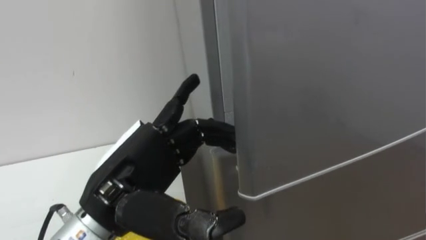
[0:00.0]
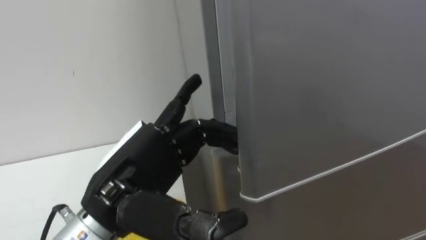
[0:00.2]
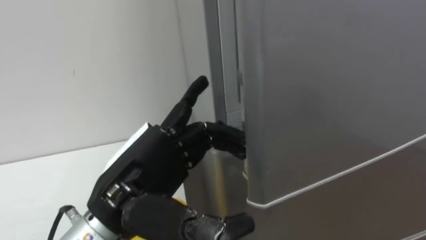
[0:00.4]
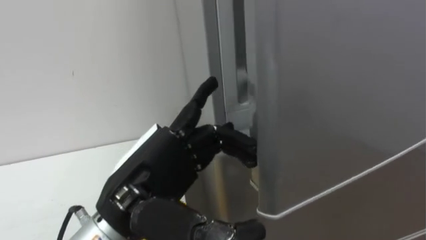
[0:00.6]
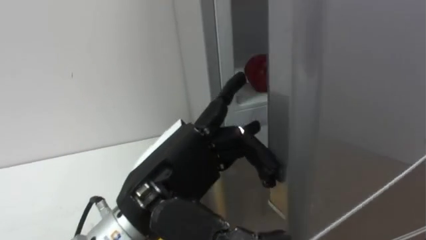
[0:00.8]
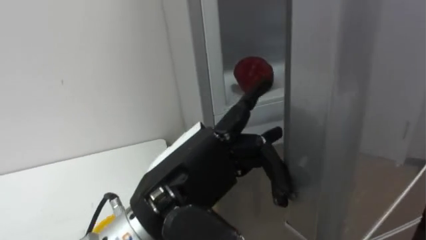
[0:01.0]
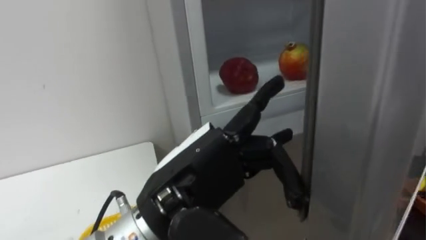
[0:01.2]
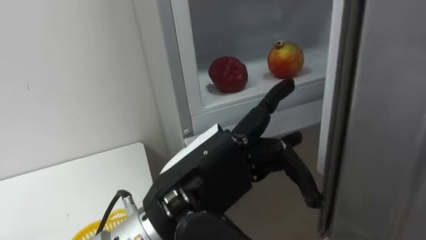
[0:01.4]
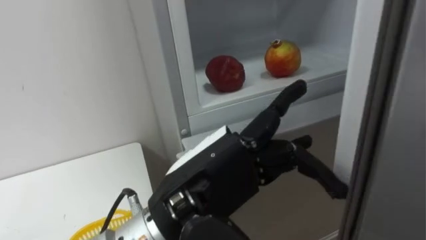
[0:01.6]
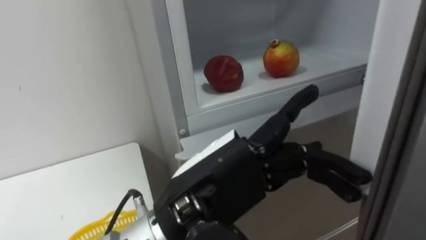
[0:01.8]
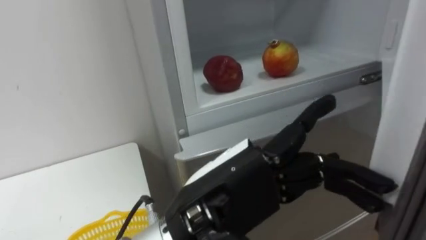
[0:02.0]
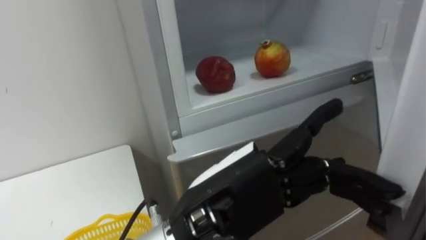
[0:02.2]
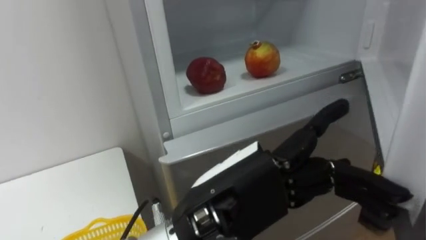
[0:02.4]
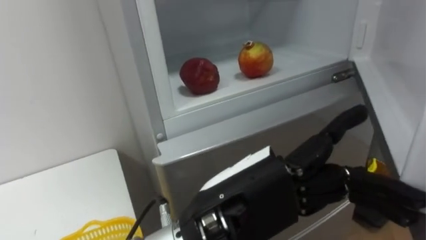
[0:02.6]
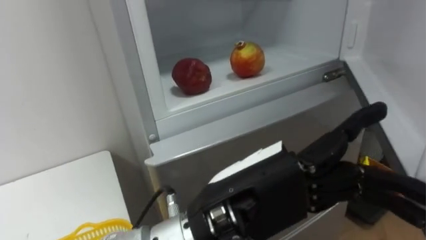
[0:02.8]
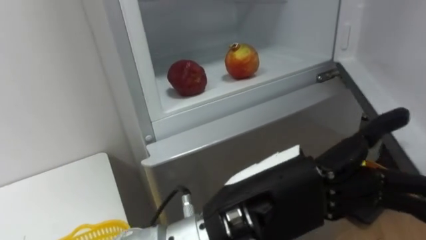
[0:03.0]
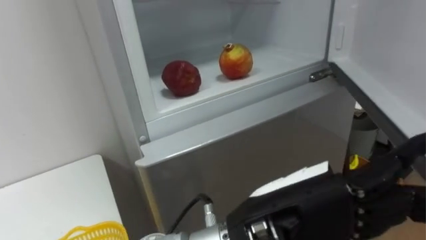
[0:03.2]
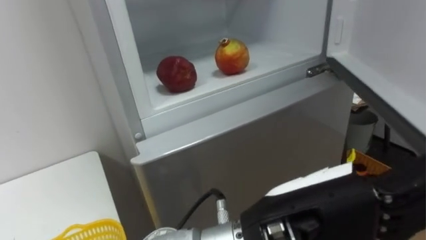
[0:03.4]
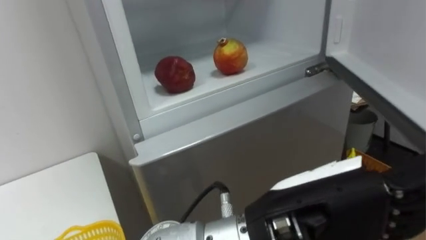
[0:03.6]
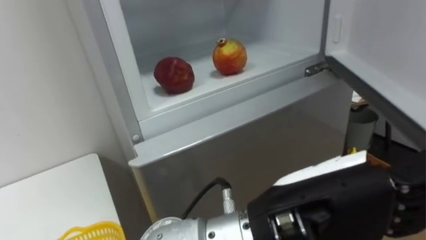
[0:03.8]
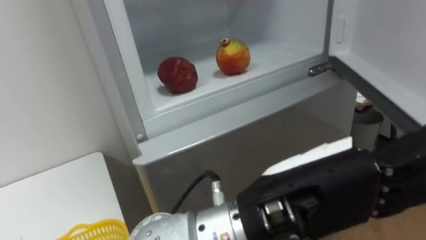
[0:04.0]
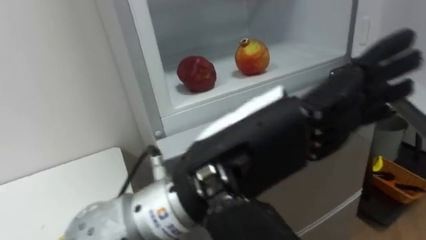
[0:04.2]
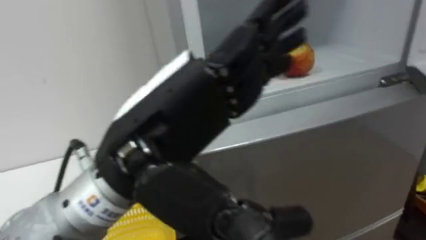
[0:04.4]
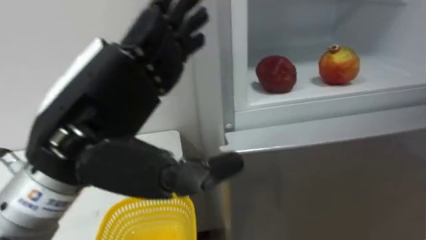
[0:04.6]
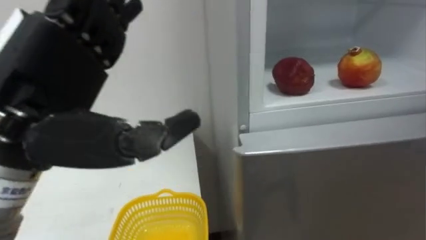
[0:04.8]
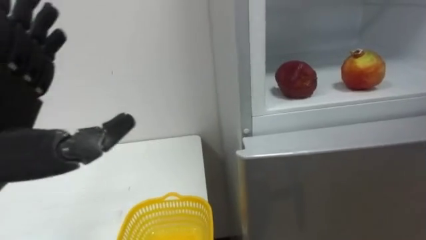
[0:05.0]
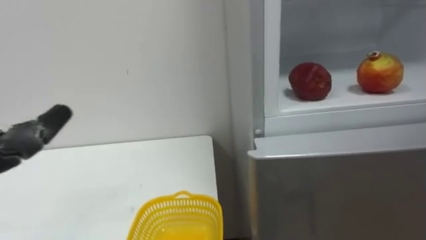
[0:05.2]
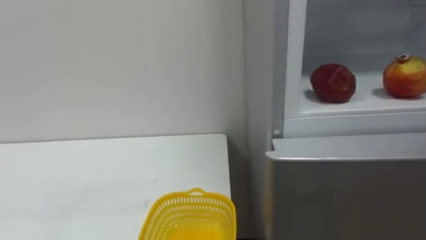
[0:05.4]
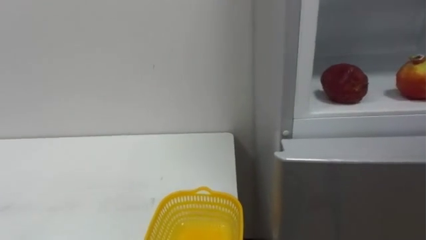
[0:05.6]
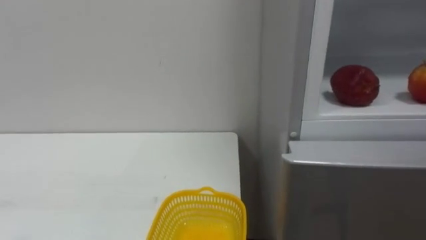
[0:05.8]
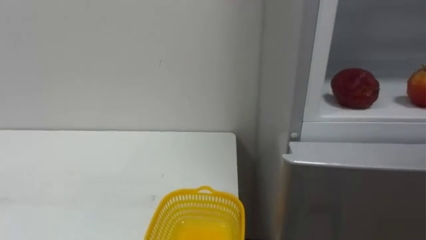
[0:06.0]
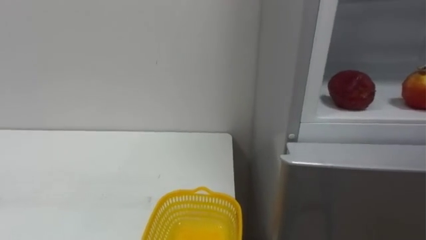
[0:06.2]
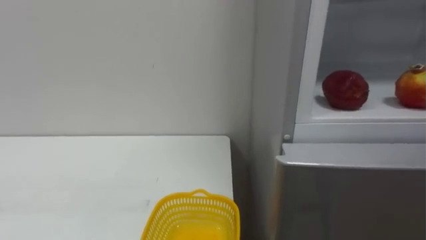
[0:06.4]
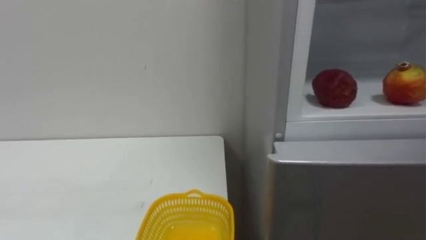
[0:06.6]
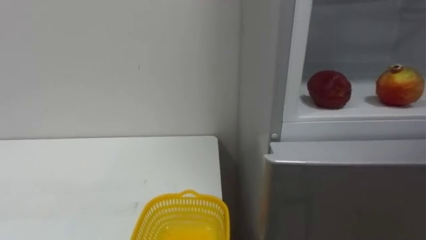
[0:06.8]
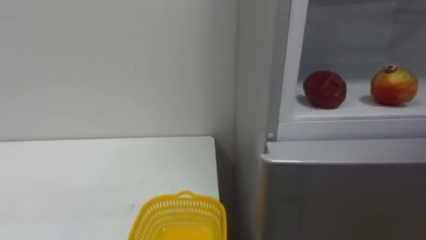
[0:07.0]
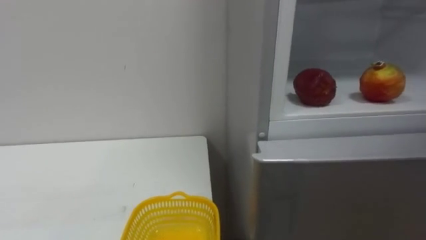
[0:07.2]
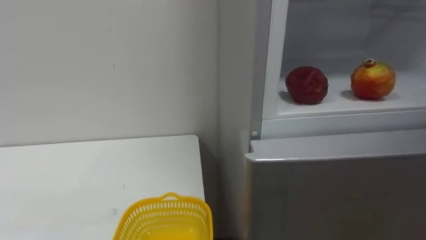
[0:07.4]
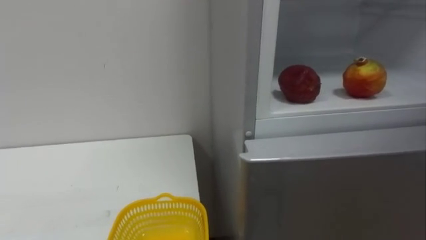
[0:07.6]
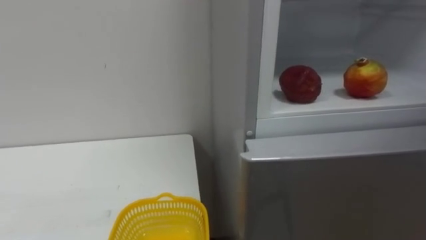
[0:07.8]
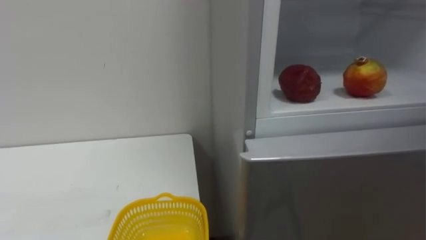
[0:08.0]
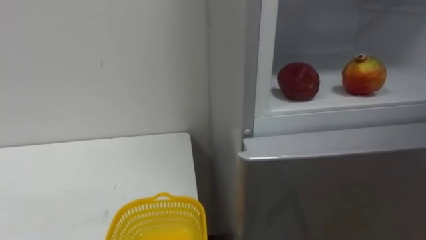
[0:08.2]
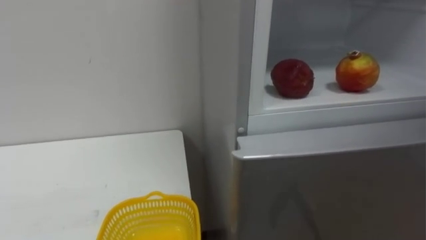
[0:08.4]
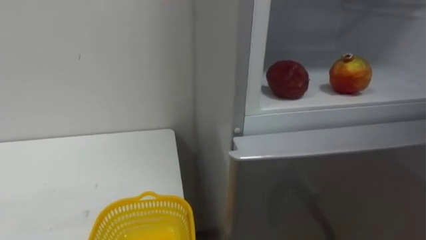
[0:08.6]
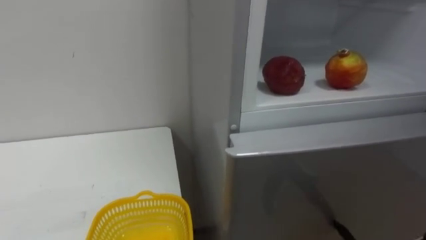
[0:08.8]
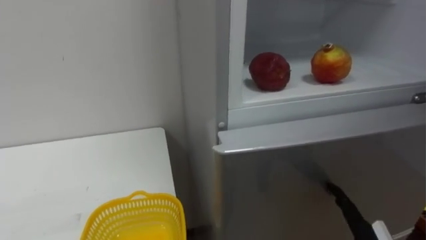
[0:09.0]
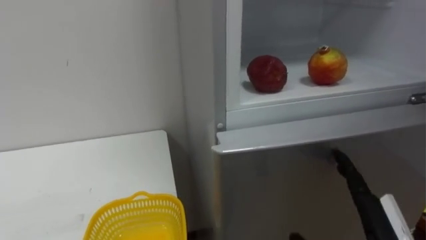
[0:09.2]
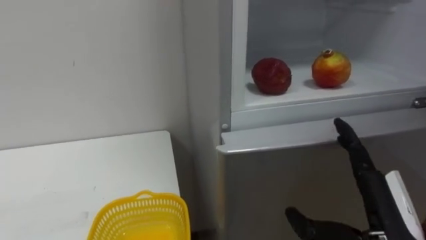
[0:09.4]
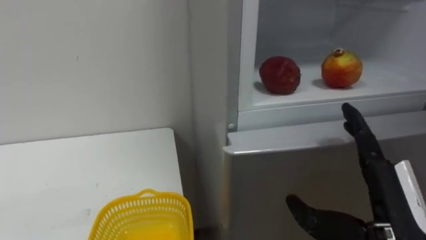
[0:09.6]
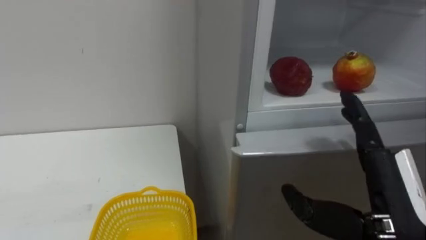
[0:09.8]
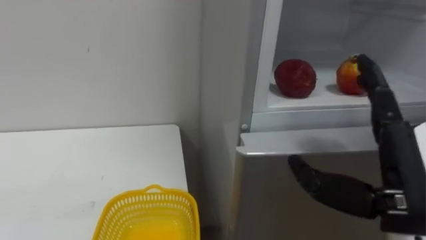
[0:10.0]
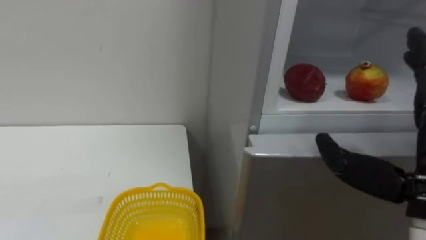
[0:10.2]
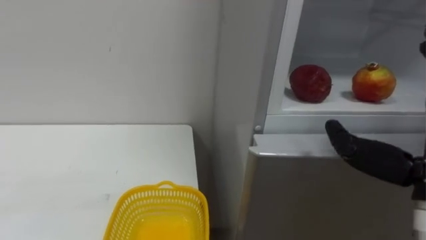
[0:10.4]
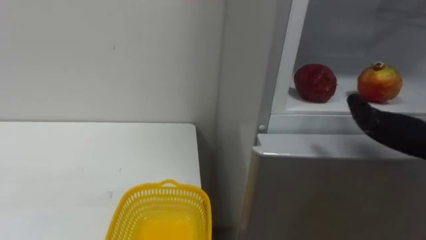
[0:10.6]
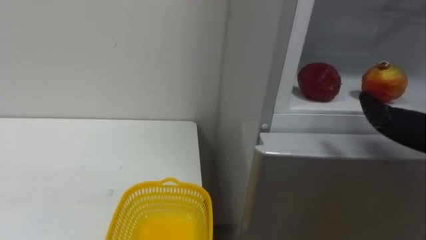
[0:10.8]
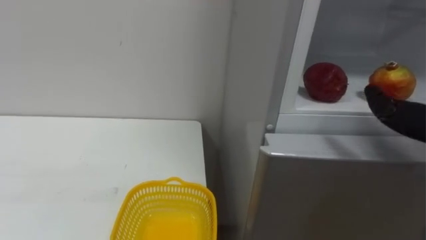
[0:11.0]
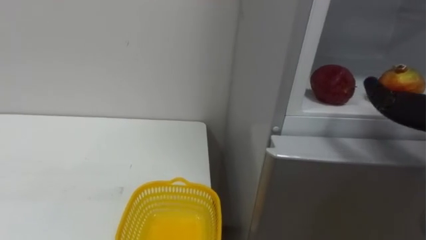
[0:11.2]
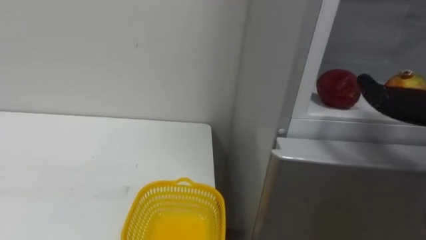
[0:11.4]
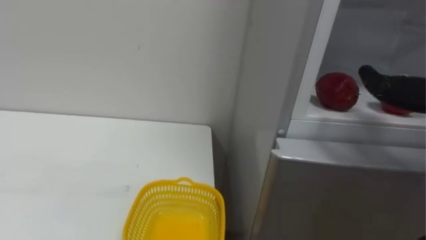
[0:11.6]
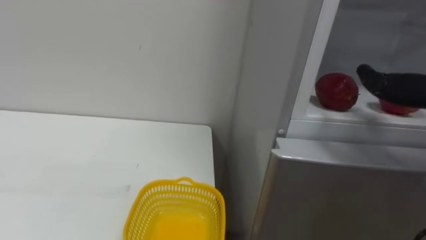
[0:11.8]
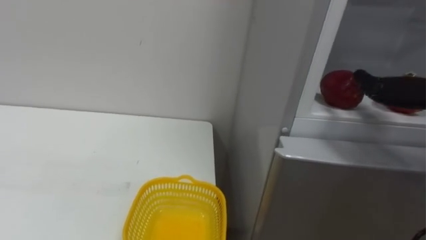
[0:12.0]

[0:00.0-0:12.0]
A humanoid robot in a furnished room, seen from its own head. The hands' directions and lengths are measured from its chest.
Task of the whole recording: Open the refrigerator door, take out the apple and the pomegranate, place them in the fruit basket on the left, and close the refrigerator door.
0:00.0 to 0:01.6: The left hand is displaced to the right by about 10 cm.
0:01.6 to 0:03.0: The left hand goes approximately 5 cm to the right.
0:03.0 to 0:04.4: The left hand travels to the left and upward by some 10 cm.

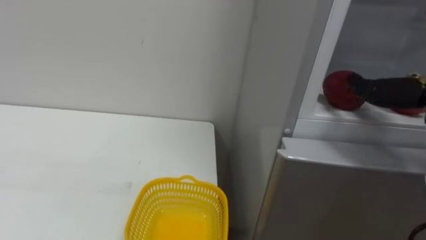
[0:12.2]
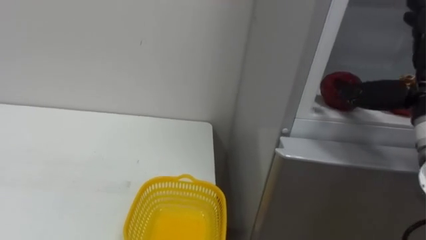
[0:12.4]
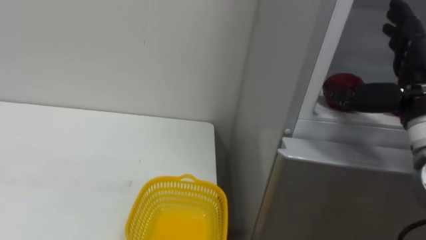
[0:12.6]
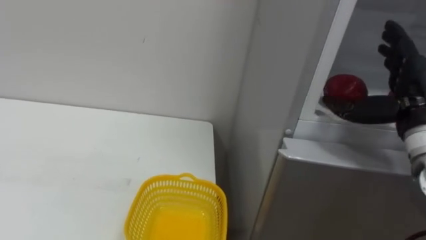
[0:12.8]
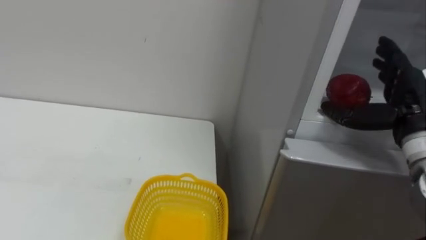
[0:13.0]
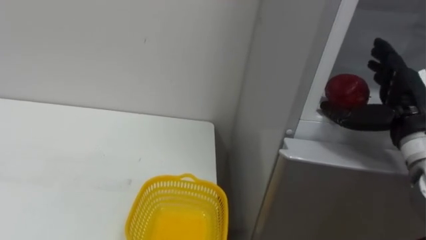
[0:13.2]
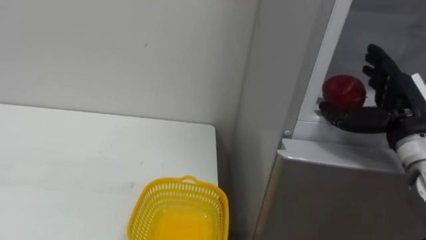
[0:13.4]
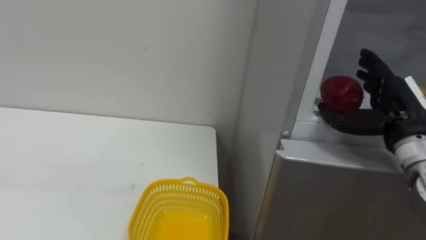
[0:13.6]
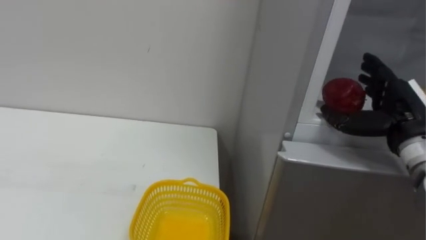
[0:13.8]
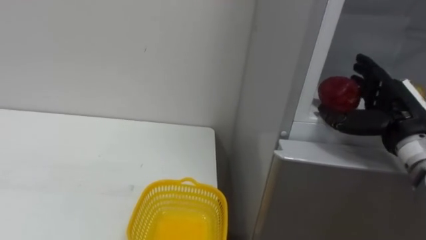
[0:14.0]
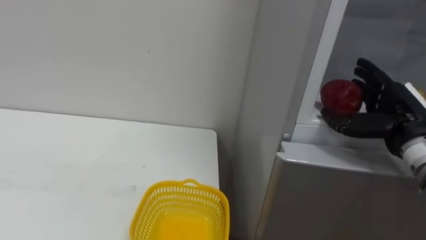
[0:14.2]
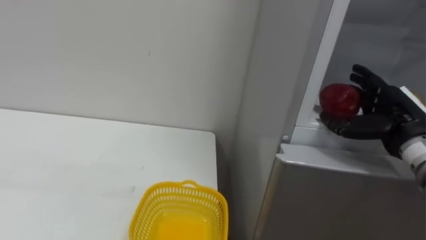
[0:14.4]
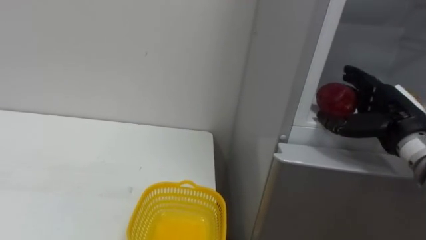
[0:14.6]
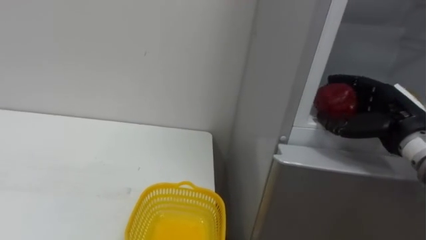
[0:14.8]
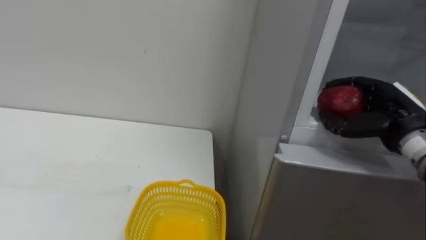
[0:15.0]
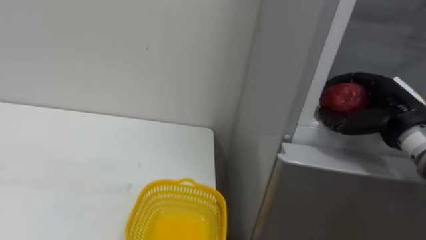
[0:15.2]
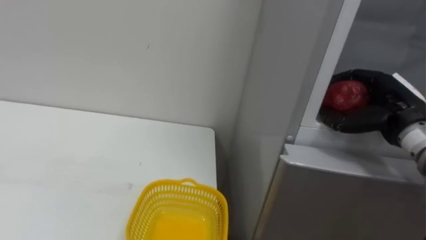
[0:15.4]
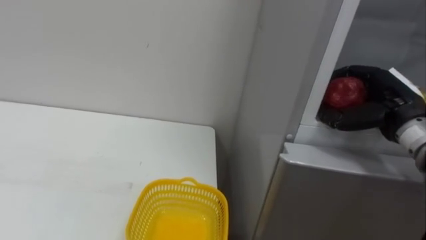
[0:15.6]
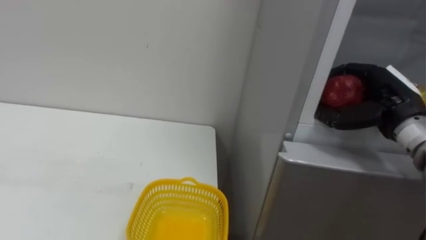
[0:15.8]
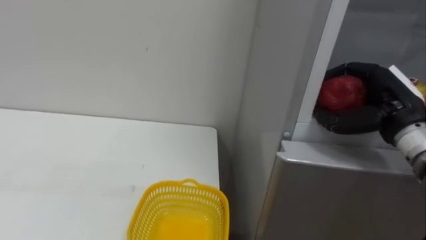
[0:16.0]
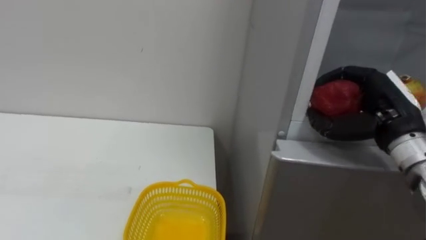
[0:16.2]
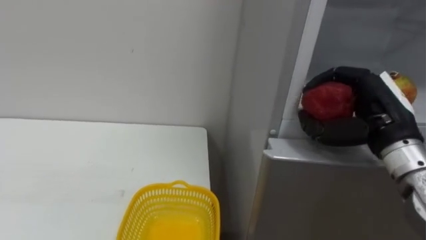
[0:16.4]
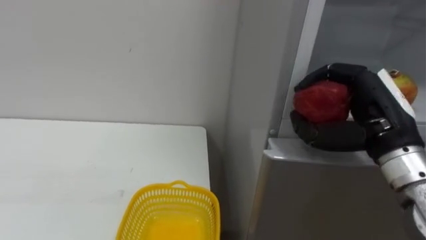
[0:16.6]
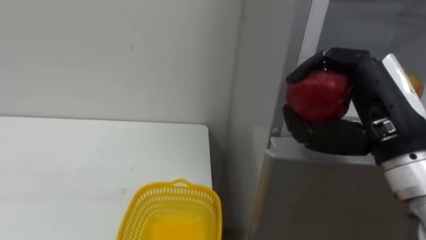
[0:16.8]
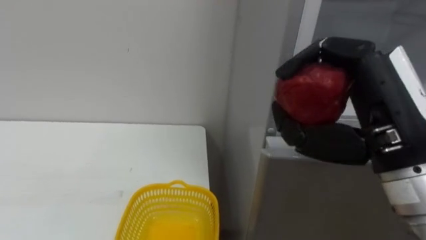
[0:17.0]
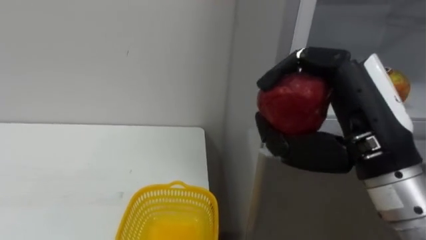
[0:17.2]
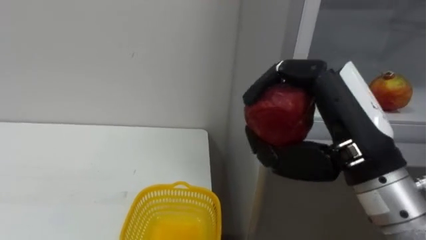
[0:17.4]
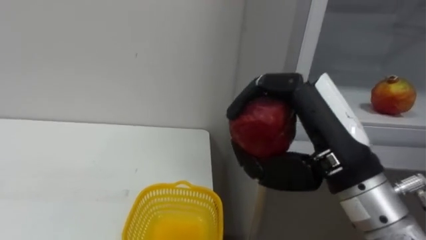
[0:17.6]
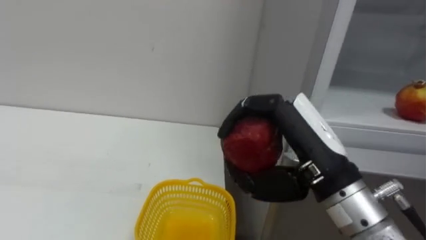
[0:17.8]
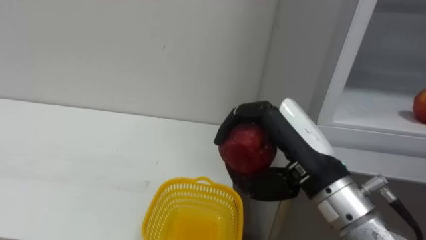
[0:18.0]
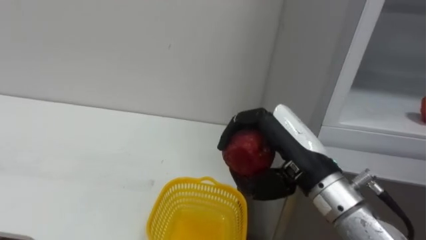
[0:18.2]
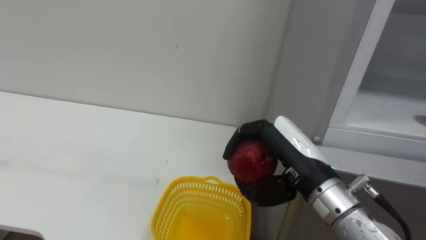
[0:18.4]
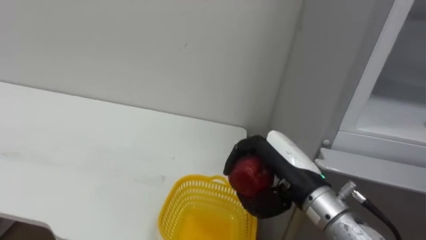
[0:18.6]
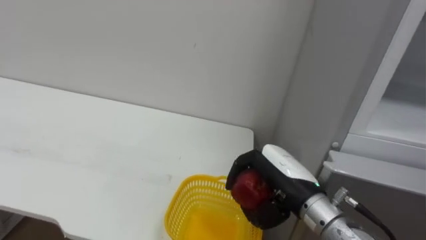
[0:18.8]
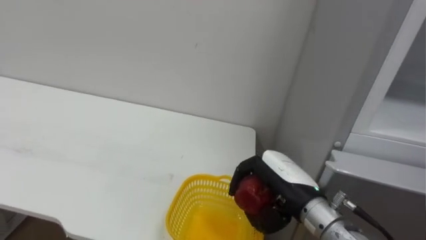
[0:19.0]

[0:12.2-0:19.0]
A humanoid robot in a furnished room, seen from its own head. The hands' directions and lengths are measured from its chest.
Task of the whole recording: Open the refrigerator door, take out the apple and the pomegranate, place them in the fruit basket on the left, and close the refrigerator door.
0:13.6 to 0:15.0: The right hand closes up.
0:15.0 to 0:16.2: The right hand ends up approximately 5 cm from where it was.
0:16.2 to 0:17.6: The right hand shifts about 15 cm to the left and backward.
0:17.6 to 0:19.0: The right hand heads downward and forward, covering approximately 15 cm.
